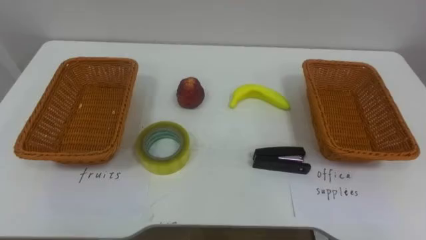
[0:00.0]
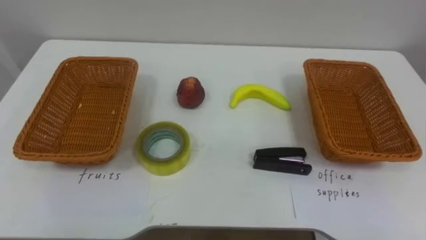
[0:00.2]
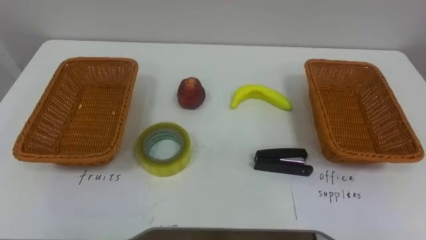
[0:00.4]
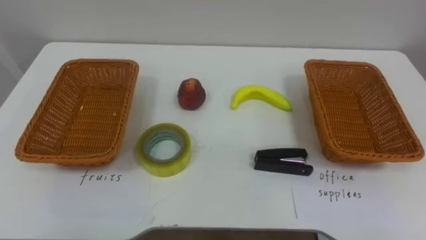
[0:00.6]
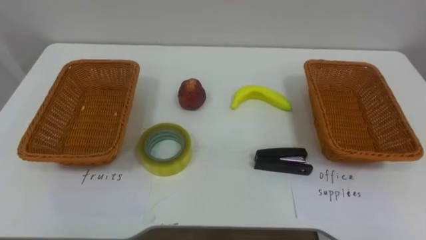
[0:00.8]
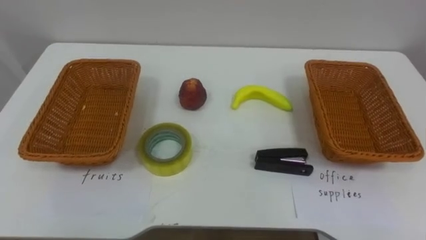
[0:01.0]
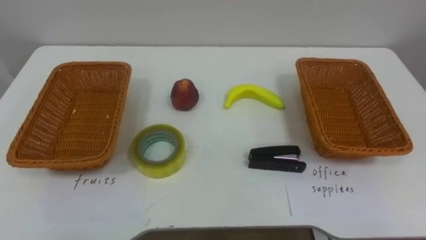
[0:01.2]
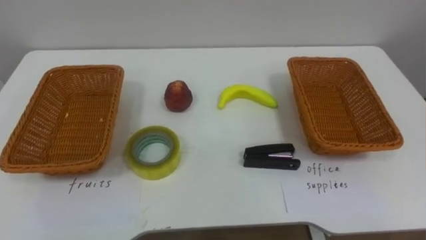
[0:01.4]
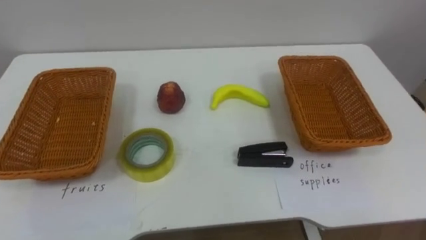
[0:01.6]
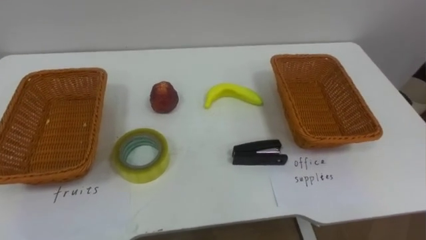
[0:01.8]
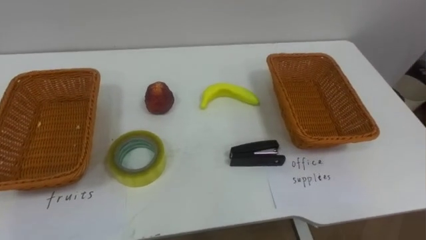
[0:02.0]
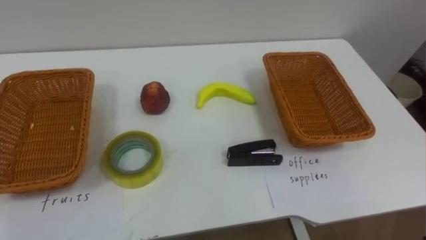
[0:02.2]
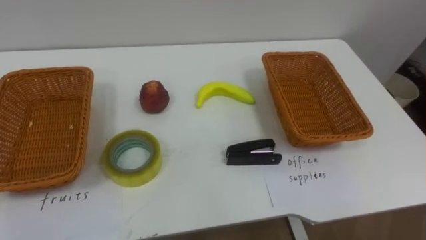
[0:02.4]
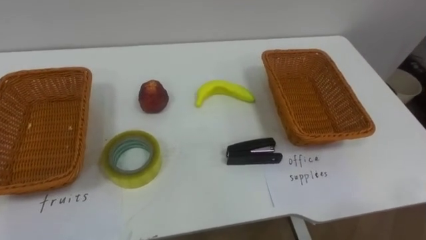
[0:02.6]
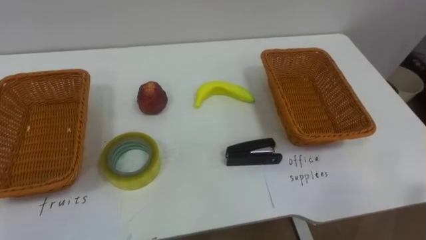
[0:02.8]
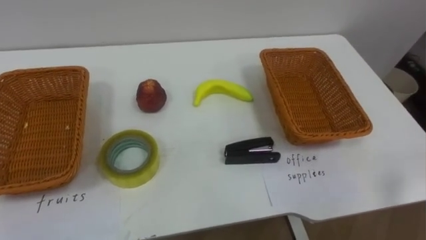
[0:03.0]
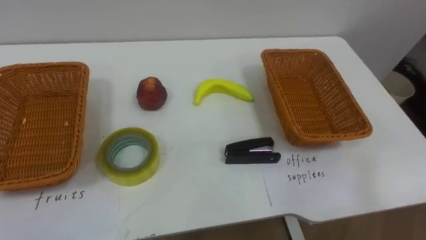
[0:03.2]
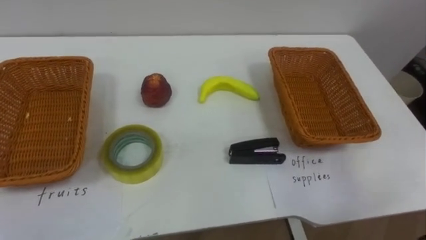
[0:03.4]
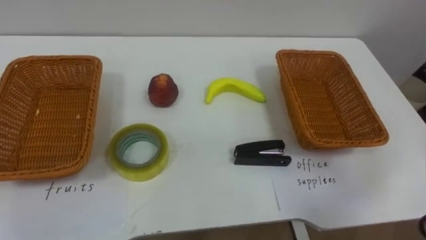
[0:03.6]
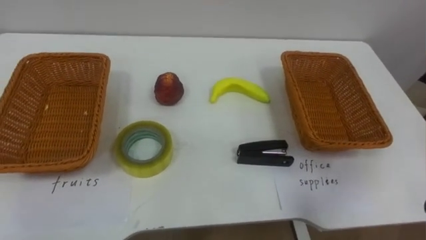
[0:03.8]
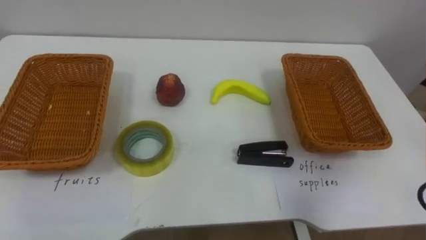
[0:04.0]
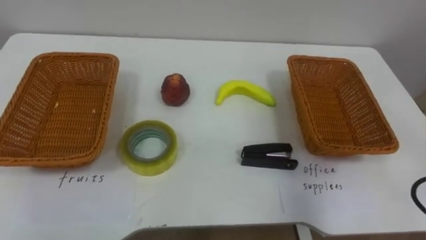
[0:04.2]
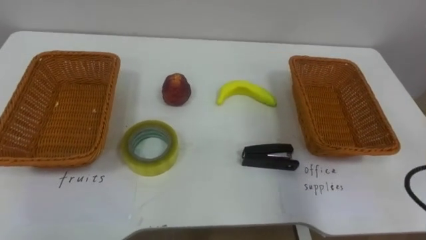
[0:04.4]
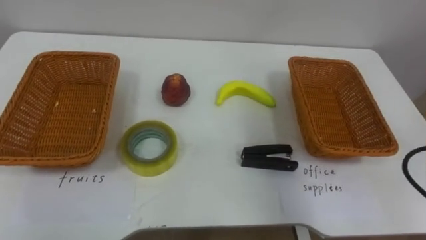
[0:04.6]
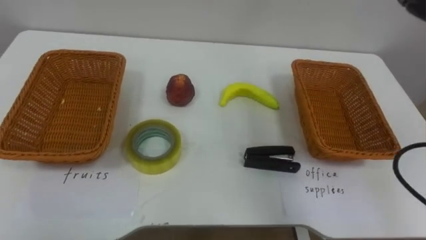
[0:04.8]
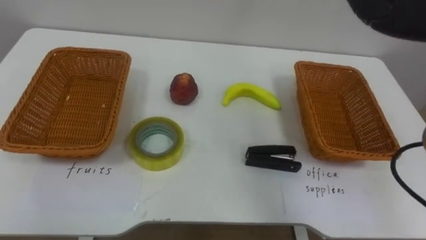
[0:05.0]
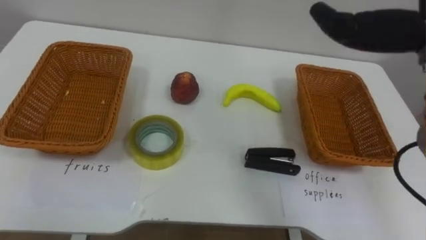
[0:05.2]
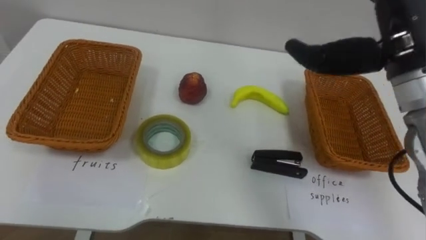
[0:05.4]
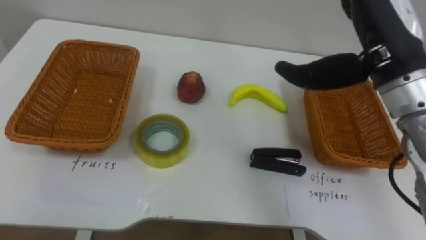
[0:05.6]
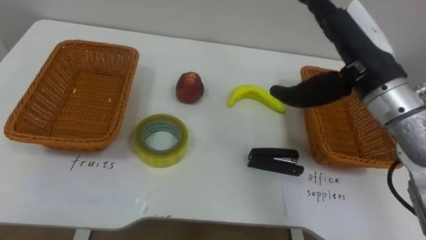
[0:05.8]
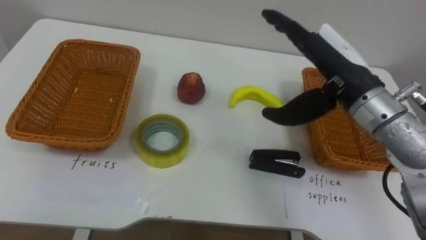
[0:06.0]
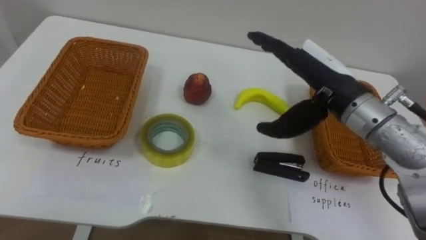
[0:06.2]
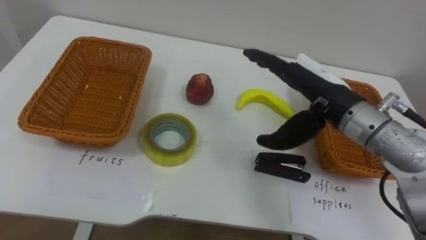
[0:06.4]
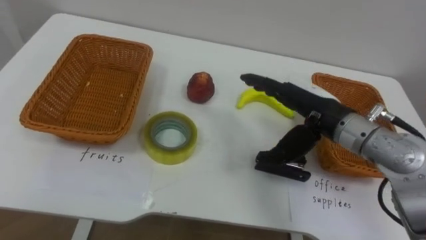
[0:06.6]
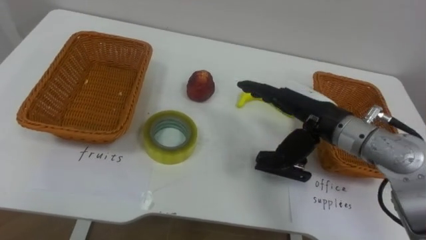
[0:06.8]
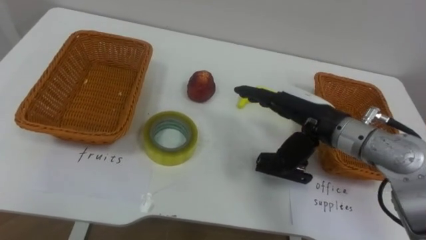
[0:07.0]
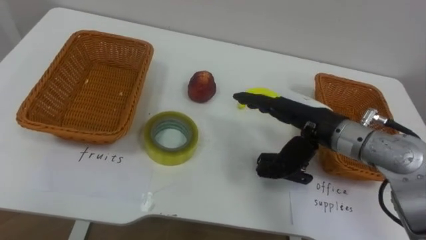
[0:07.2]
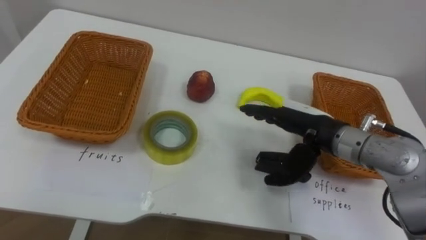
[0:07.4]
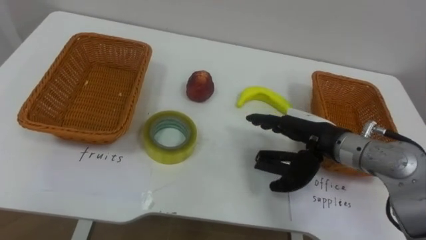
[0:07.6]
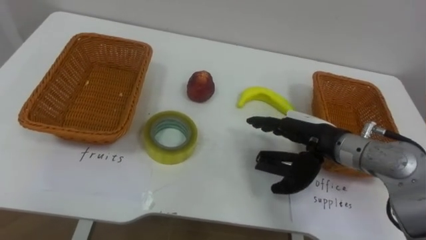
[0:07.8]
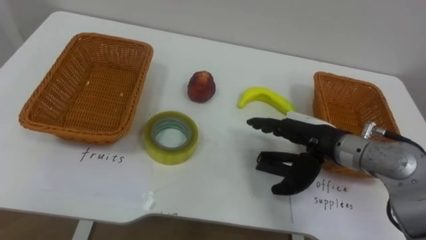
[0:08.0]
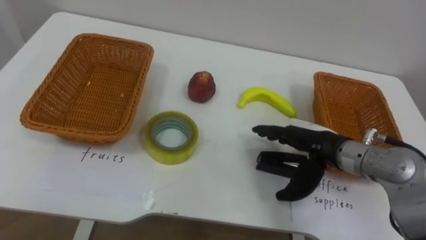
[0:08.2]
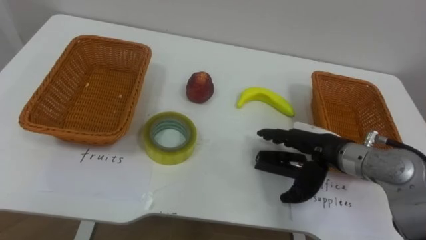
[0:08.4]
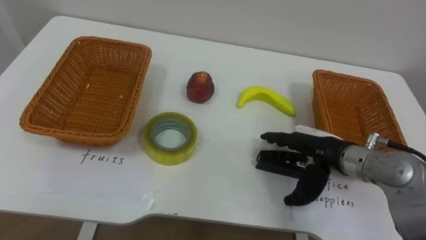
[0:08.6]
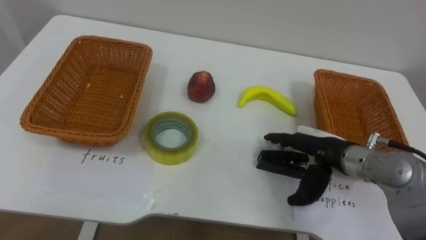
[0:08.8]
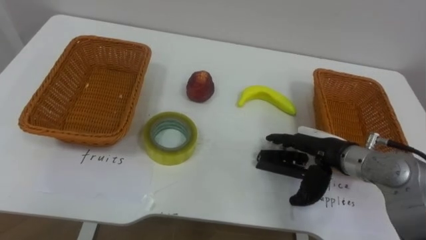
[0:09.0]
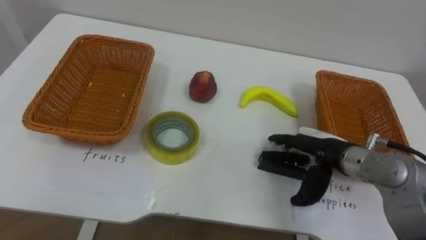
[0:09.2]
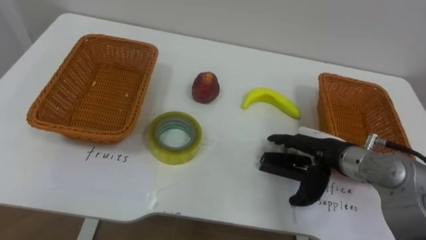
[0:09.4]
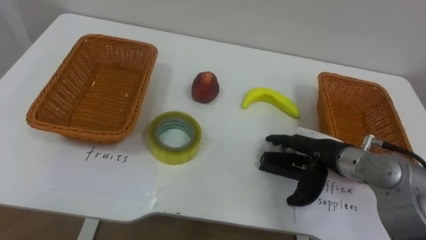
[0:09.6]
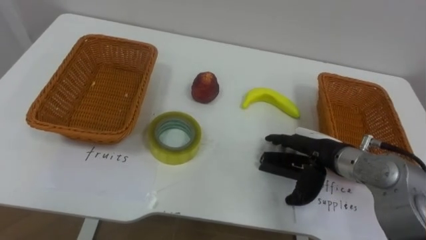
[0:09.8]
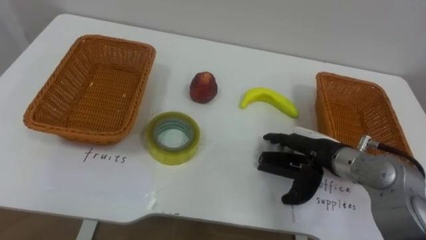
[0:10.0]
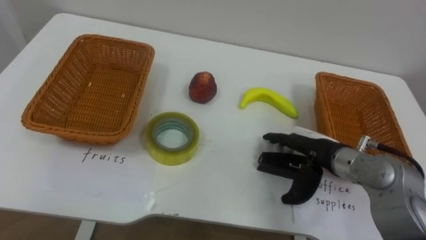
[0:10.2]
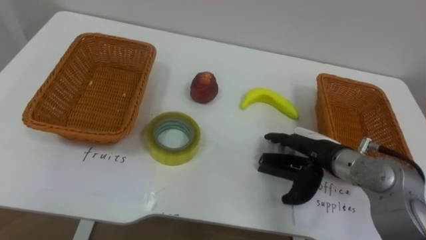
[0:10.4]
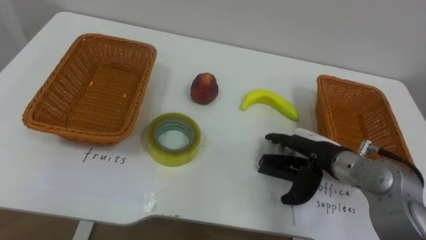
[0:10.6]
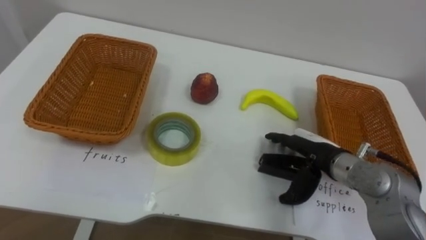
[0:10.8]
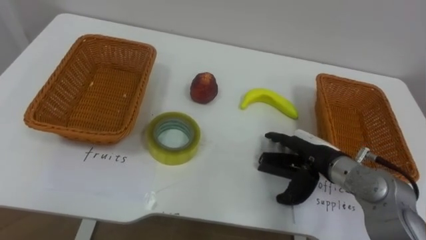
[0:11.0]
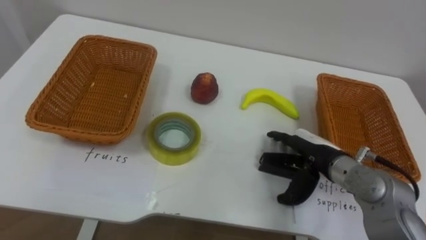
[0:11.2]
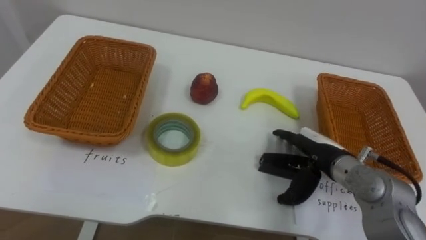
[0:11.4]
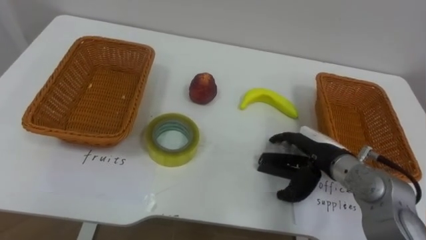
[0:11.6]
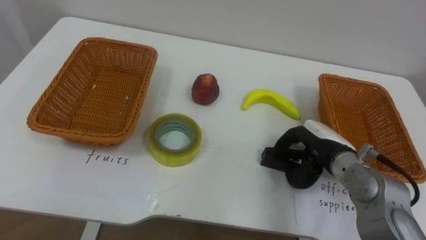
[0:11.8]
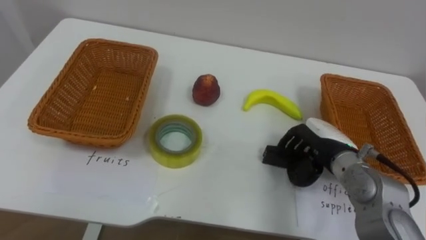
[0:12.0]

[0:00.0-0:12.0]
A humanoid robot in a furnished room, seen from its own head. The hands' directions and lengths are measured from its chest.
Task of the whole recording: Separate the items on the table and place them into the two baskets.
0:06.0 to 0:07.6: The right hand heads downward, covering roughly 10 cm.
0:10.4 to 0:12.0: The right hand closes.

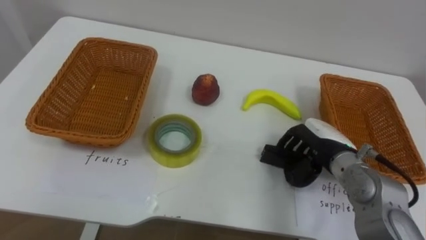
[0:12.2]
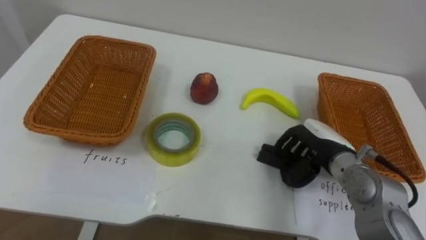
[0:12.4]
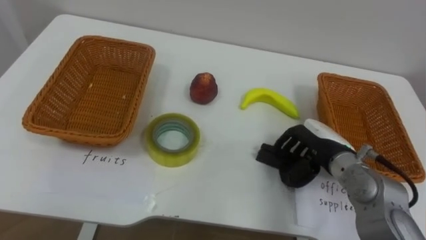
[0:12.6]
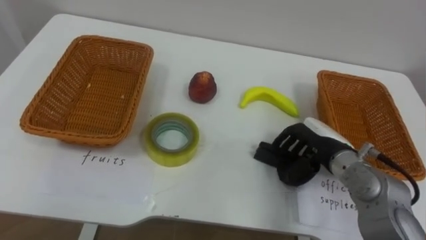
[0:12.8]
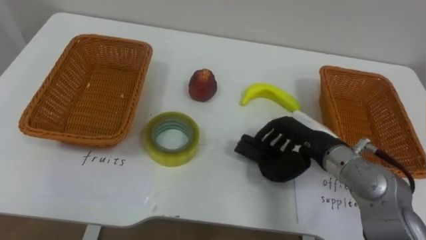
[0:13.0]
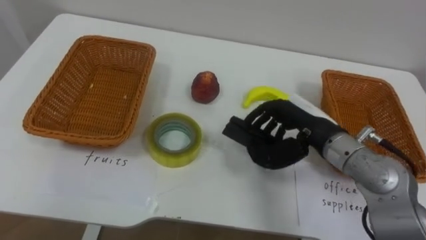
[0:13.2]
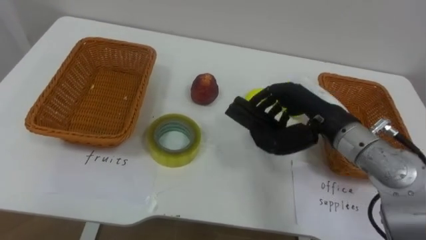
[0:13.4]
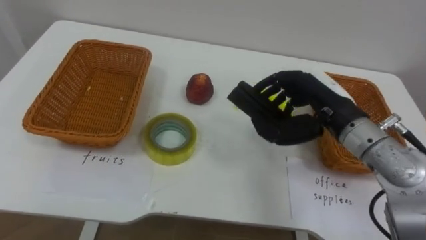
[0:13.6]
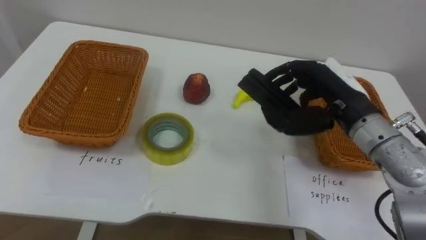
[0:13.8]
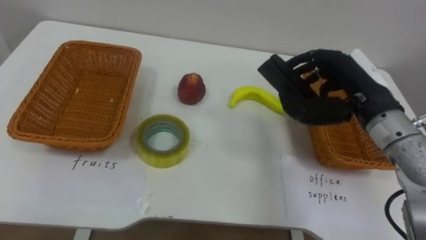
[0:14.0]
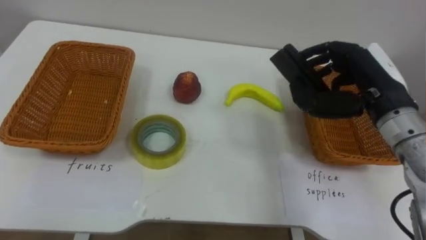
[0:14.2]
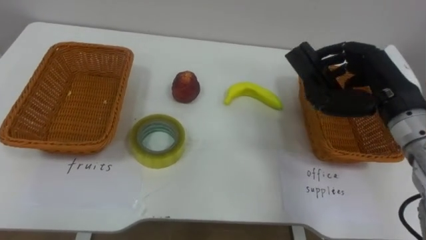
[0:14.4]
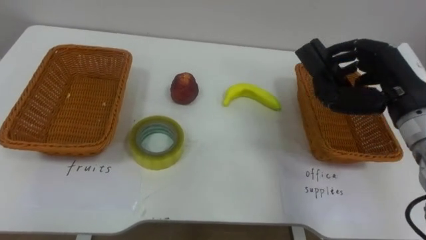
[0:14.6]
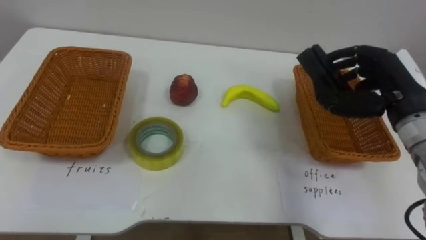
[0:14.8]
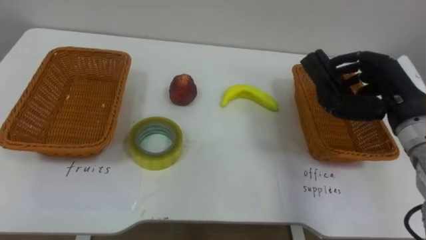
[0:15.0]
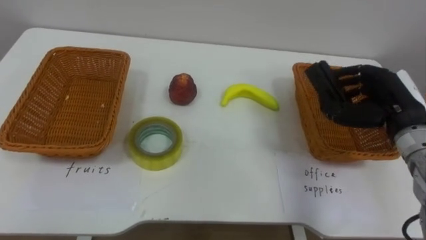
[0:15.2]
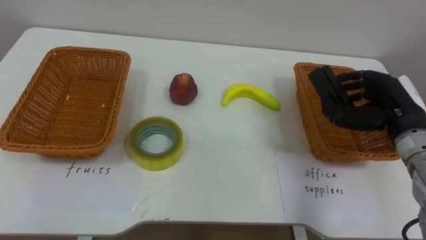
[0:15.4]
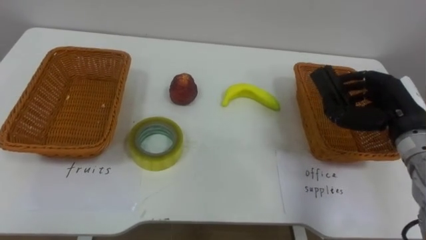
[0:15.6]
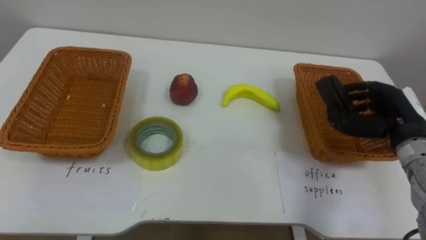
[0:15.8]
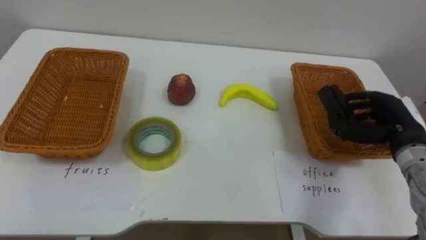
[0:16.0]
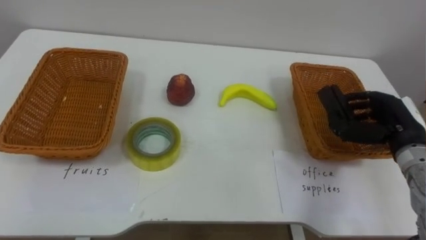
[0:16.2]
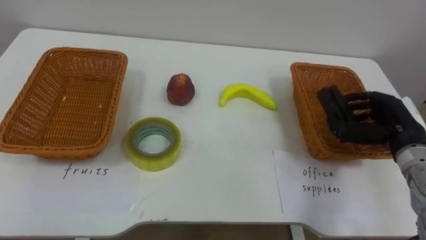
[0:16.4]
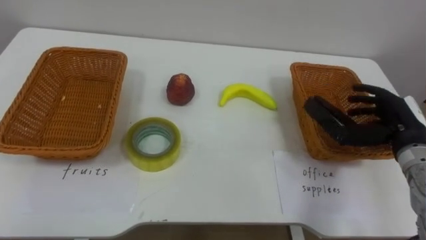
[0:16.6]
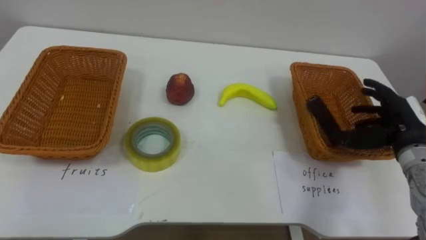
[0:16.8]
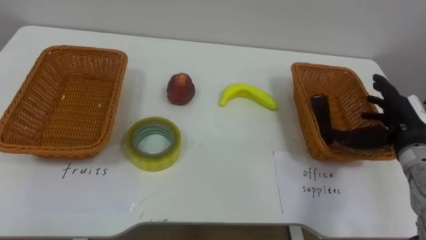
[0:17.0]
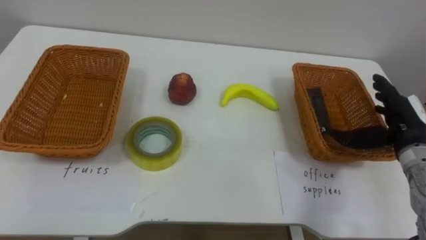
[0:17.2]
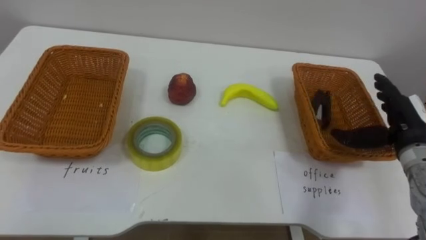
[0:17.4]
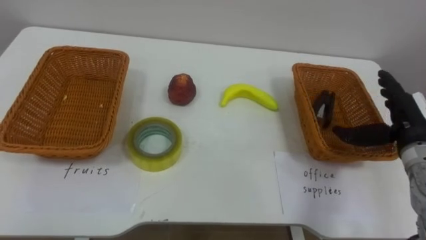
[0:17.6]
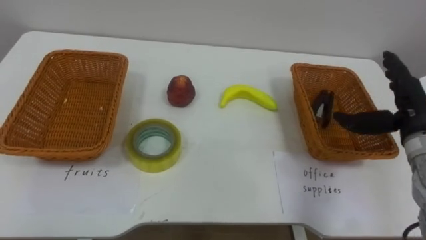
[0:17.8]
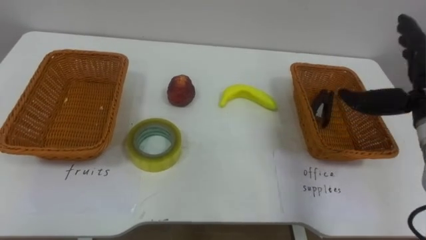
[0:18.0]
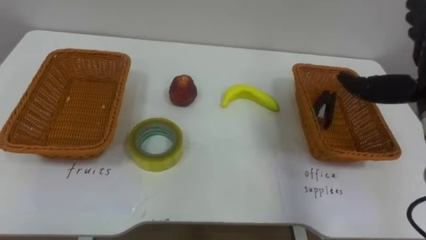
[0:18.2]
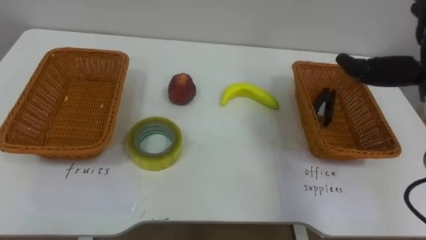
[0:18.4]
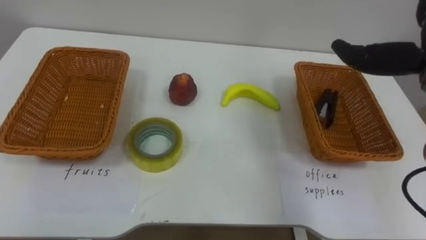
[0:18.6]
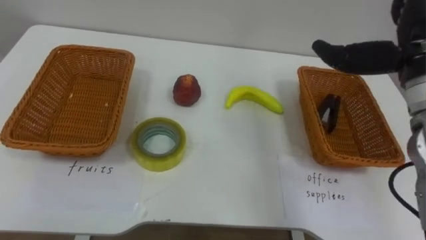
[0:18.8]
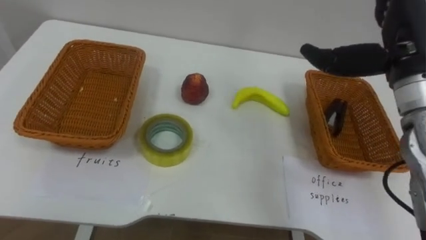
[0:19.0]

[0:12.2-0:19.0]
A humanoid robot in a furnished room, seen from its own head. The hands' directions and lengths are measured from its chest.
Task of the whole recording: Separate the items on the table and place them into the two baskets.
0:12.2 to 0:13.6: The right hand moves upward, approximately 10 cm.
0:13.6 to 0:15.0: The right hand heads to the right, covering about 10 cm.
0:15.0 to 0:16.2: The right hand moves downward, approximately 10 cm.
0:16.2 to 0:17.6: The right hand opens up.
